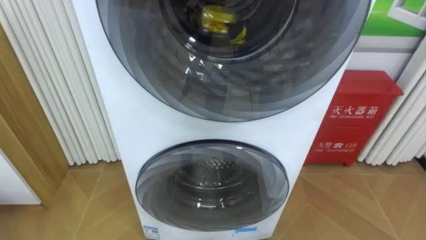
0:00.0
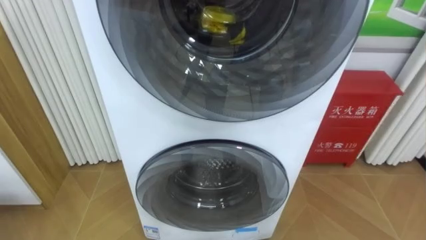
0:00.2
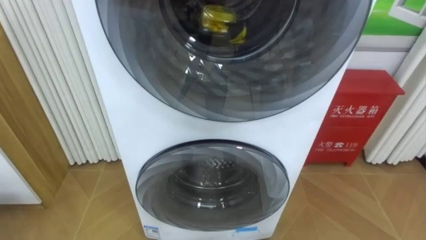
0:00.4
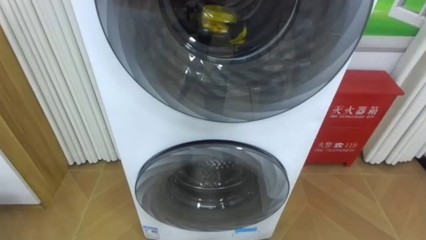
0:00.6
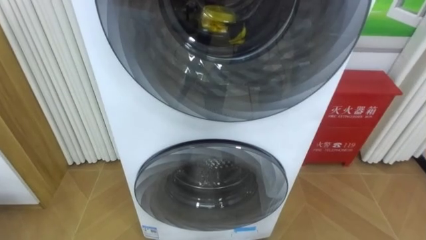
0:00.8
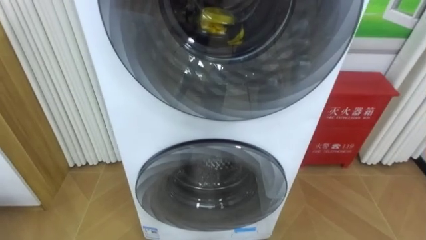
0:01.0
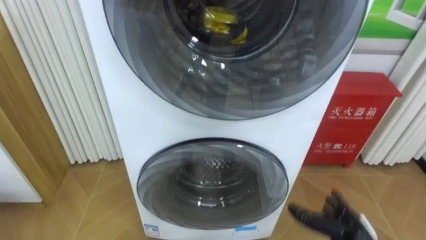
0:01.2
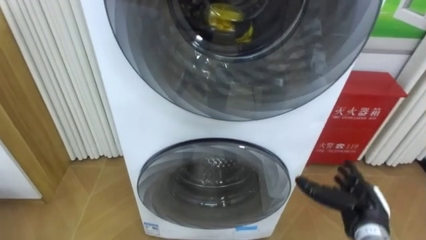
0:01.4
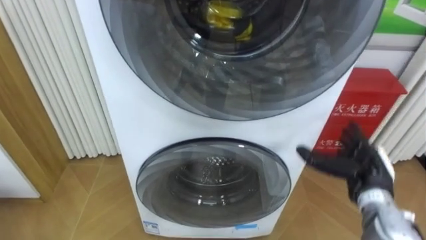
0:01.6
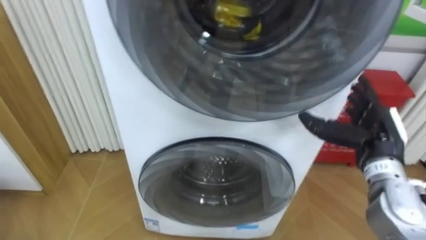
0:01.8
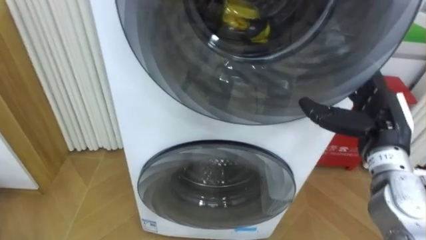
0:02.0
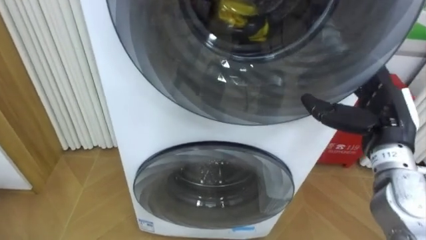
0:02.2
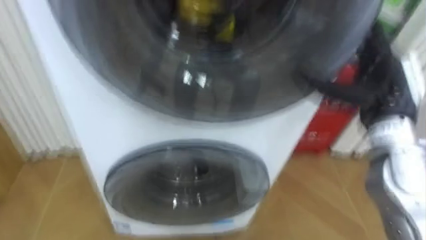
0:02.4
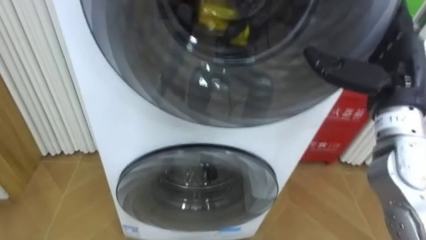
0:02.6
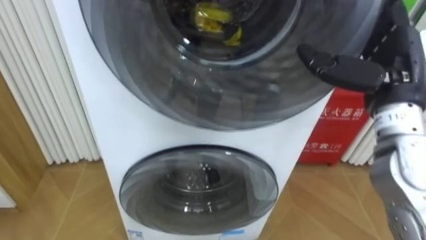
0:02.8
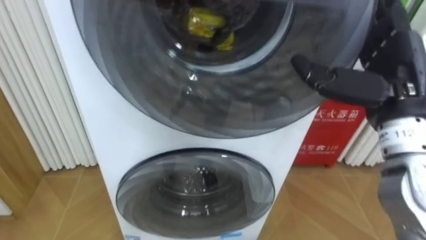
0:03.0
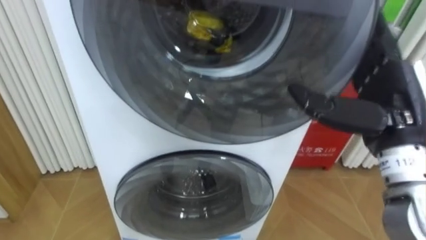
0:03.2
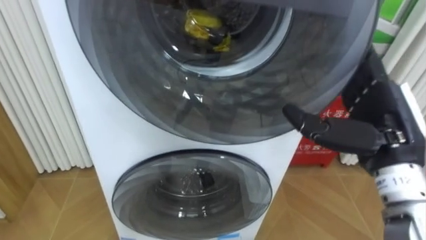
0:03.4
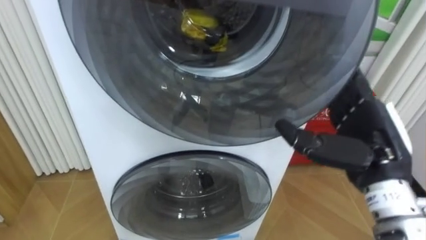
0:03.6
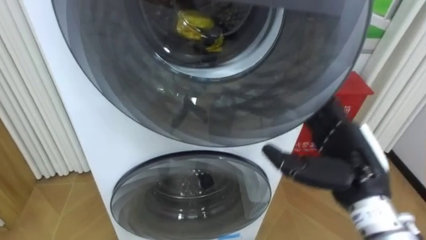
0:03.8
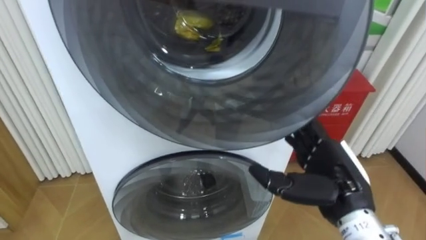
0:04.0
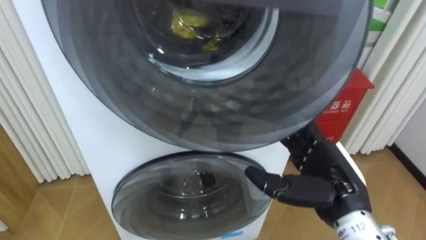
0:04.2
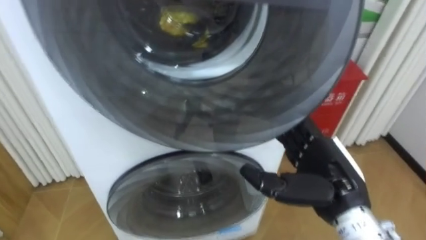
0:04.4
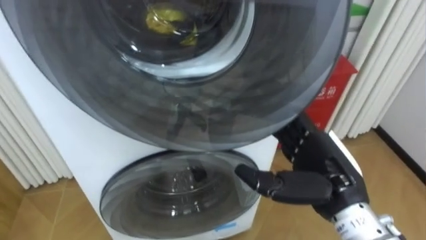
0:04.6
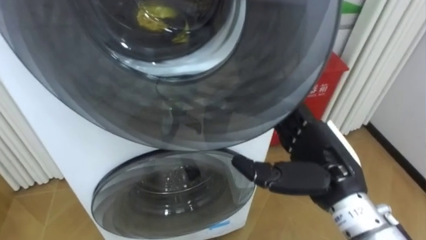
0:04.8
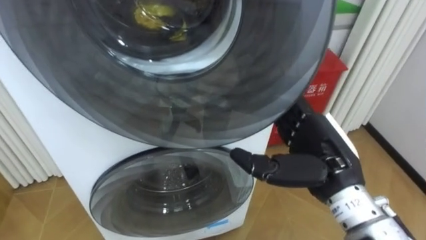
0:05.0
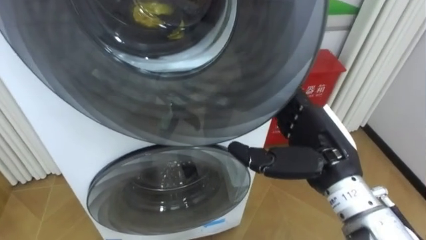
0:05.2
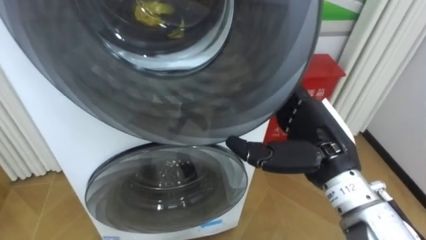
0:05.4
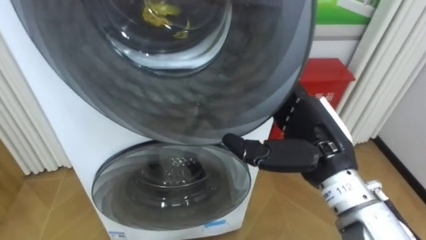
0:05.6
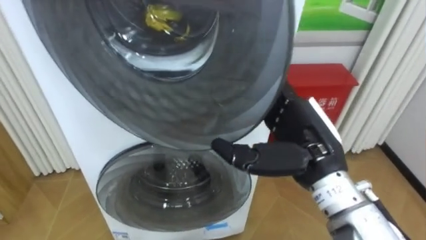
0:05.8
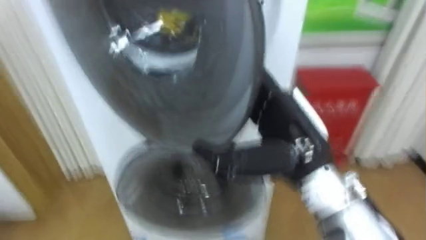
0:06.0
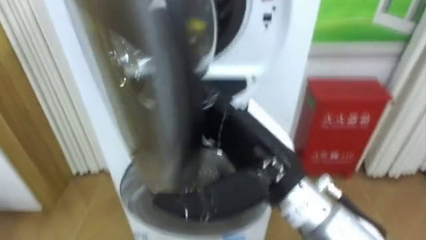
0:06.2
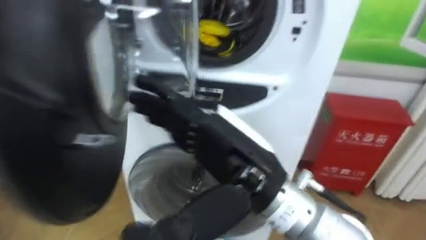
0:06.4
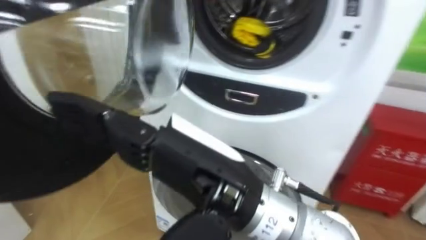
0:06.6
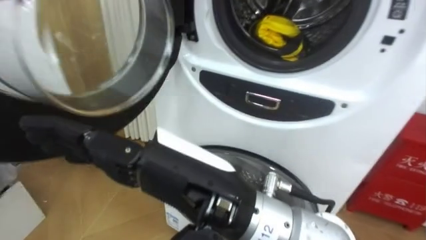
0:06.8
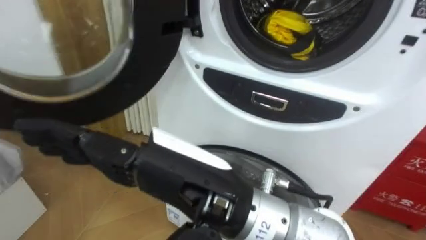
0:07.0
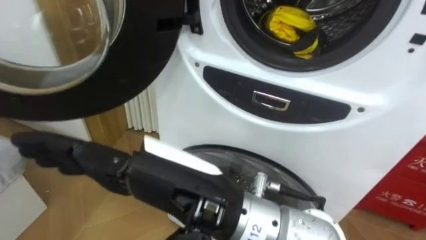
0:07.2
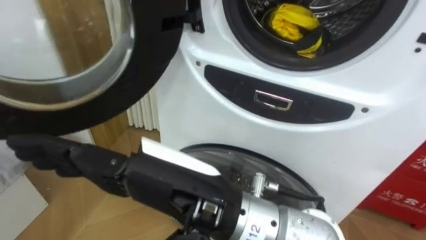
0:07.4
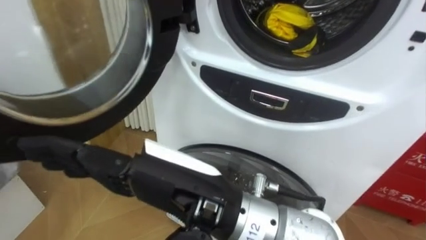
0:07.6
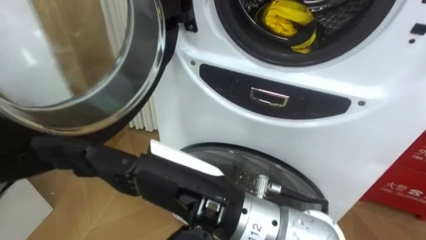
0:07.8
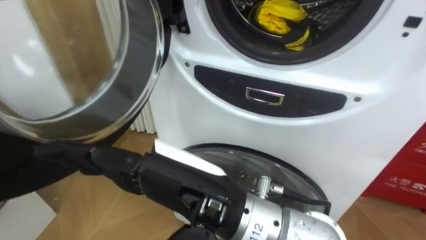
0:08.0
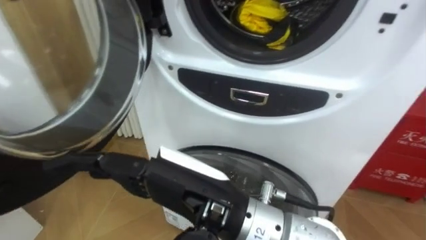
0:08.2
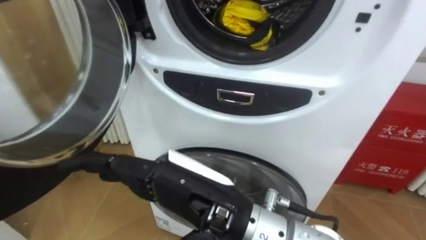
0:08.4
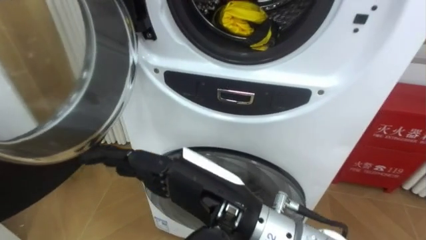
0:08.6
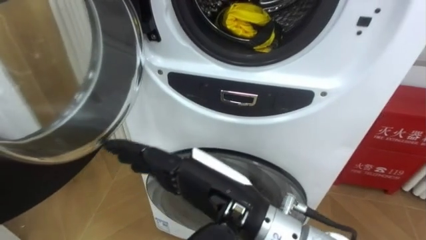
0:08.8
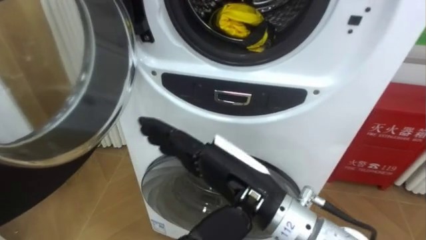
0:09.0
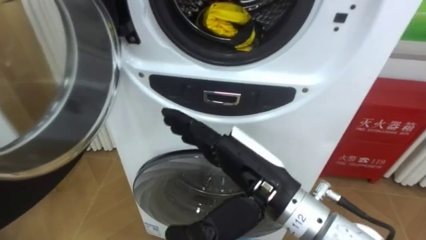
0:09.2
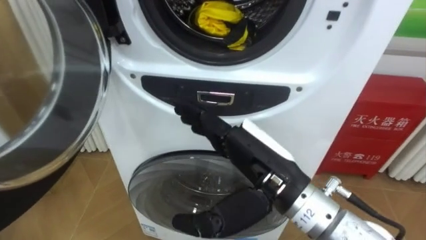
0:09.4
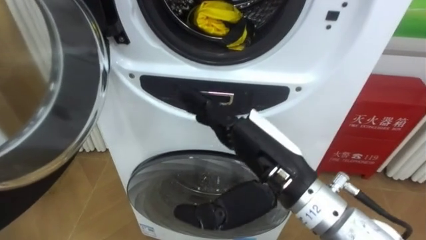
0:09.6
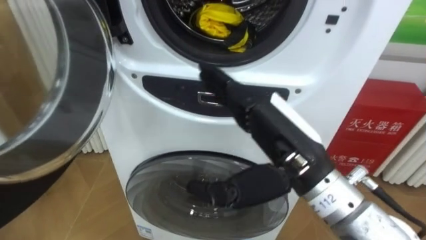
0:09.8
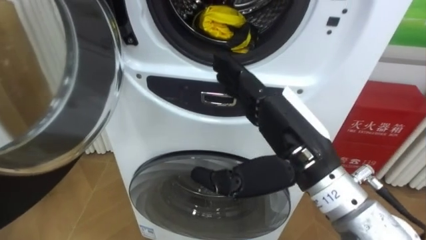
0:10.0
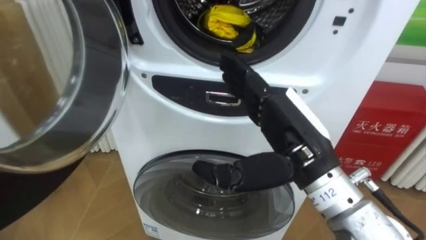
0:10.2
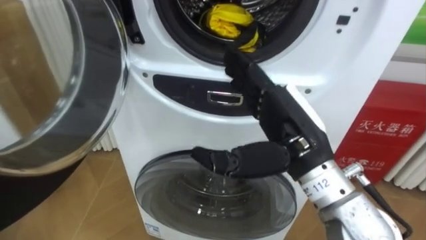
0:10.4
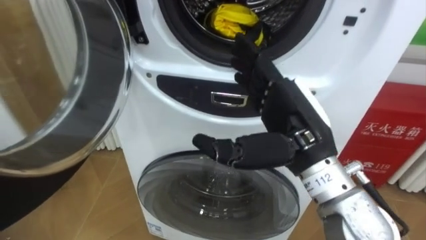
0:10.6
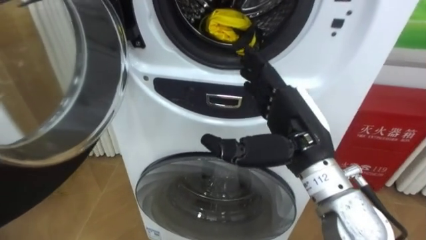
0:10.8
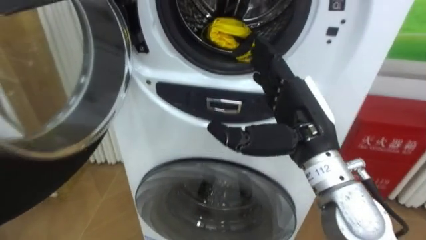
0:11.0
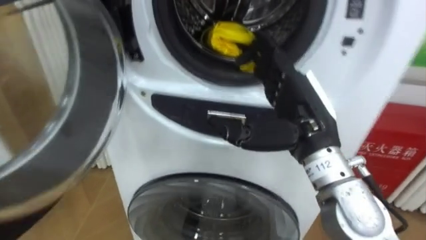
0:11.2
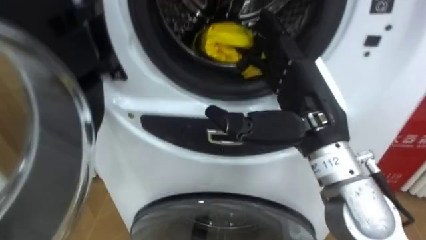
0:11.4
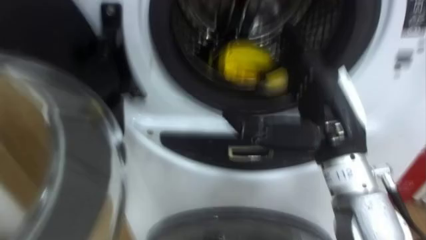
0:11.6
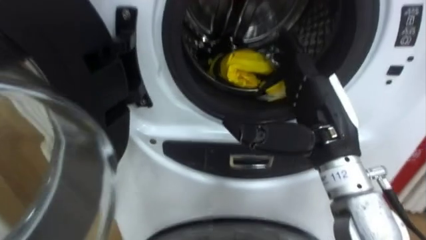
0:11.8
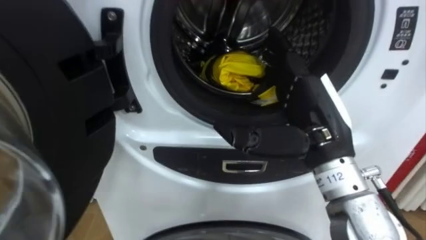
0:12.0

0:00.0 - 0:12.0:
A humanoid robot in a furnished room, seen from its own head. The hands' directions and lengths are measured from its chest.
Task of the whole recording: Open the washing machine door, take out the yellow clothes, place them in the box on the right, and close the washing machine door.
0:01.6 - 0:03.0: The right hand shifts roughly 20 cm upward.
0:03.0 - 0:04.4: The right hand goes roughly 15 cm downward, to the left and backward.
0:04.4 - 0:06.0: The right hand heads upward and to the left, covering about 10 cm.
0:06.0 - 0:07.6: The right hand shifts roughly 15 cm to the left and backward.
0:07.6 - 0:09.0: The right hand shifts some 5 cm to the right.
0:09.0 - 0:10.4: The right hand goes about 5 cm to the right.

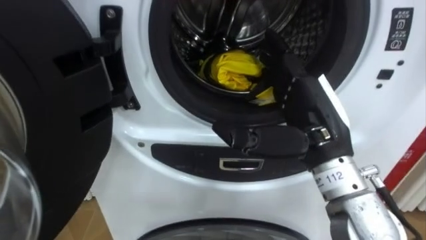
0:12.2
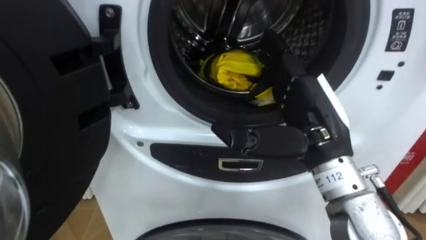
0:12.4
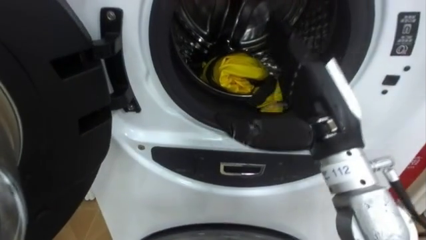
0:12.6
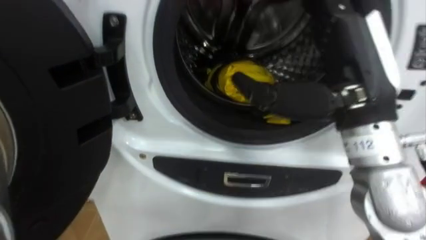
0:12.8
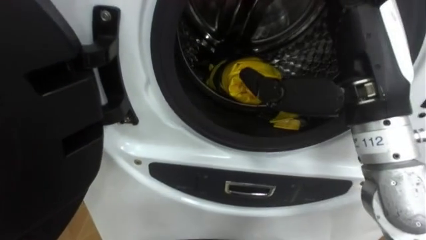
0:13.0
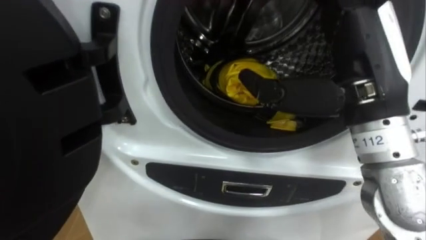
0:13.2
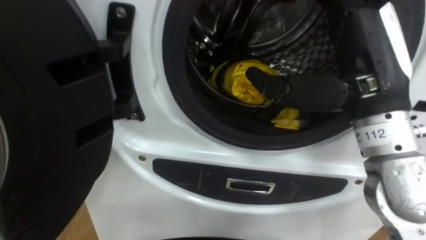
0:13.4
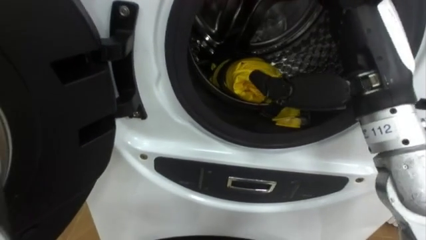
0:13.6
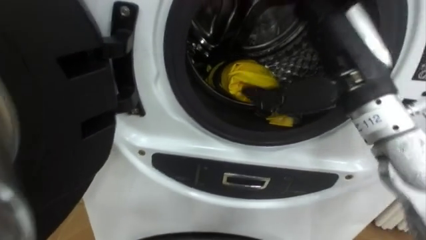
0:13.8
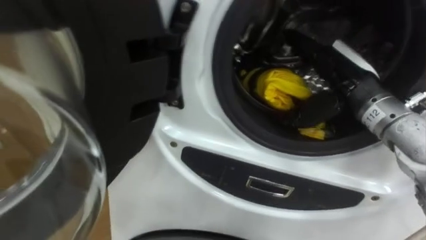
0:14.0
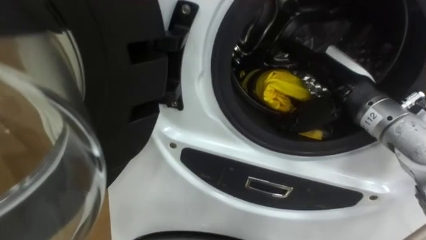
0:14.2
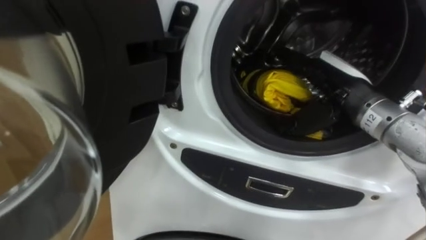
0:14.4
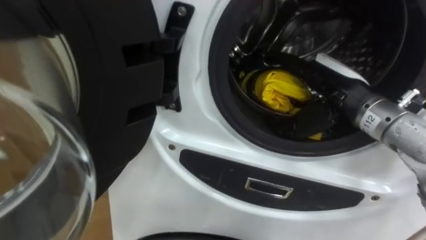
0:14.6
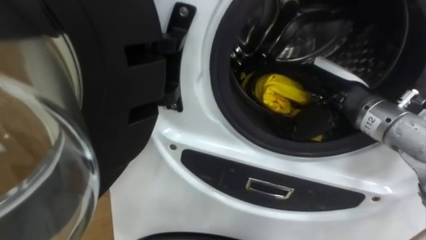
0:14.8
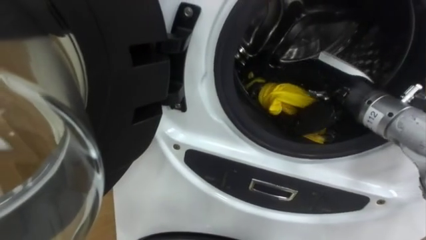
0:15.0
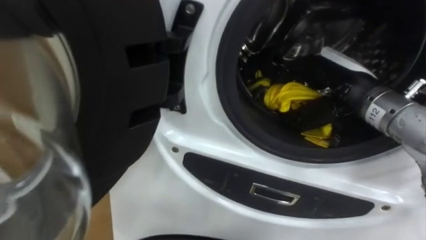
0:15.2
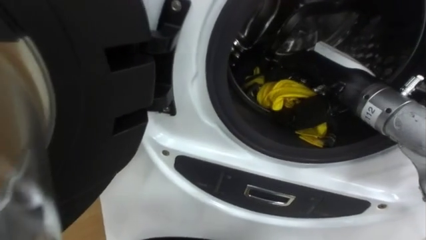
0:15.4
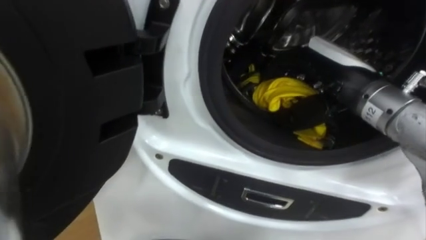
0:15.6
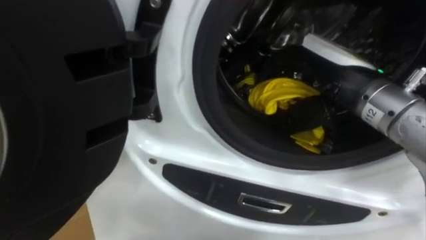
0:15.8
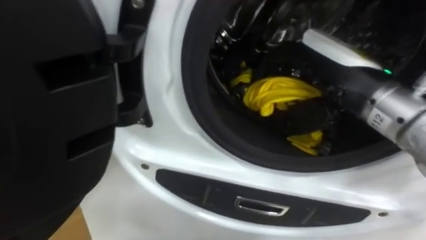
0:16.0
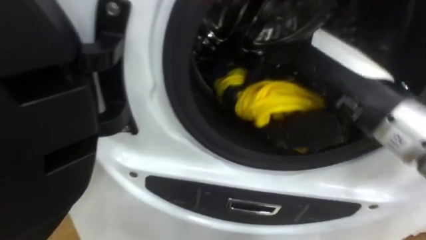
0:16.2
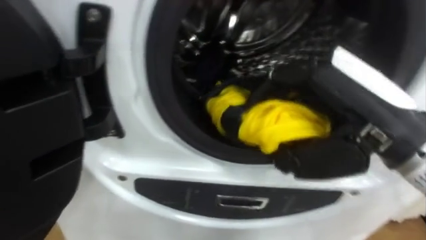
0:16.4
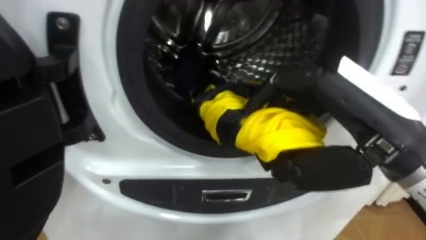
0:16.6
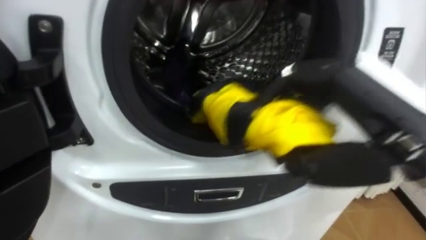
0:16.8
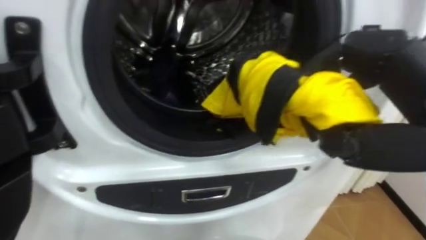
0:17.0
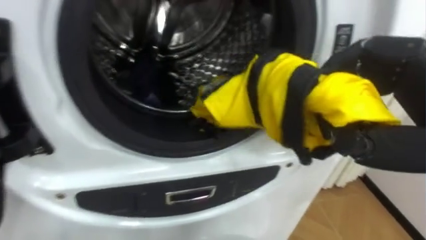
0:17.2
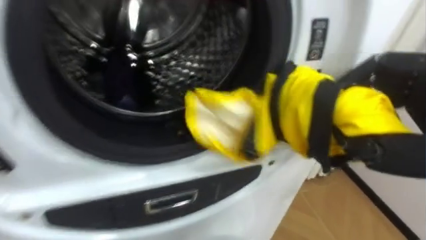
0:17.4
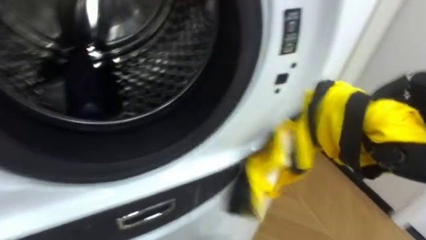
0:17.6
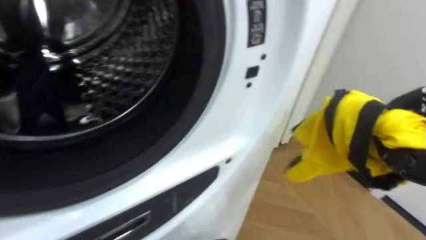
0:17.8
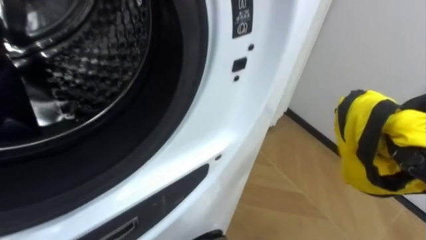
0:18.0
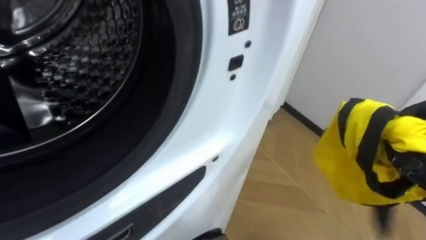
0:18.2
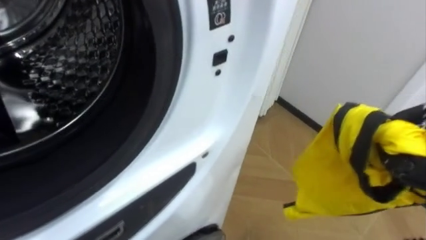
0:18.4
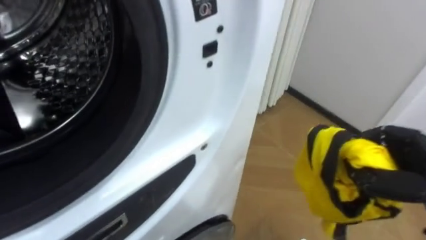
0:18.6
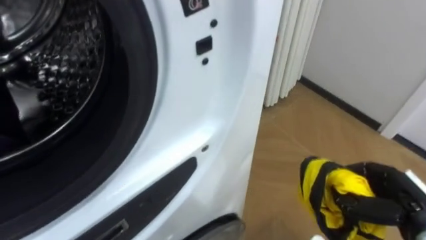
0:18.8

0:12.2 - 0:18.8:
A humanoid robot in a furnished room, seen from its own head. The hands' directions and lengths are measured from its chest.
Task of the whole recording: Open the washing machine door, take out the yellow clothes, place them in the box on the right, and close the washing machine door.
0:12.2 - 0:13.8: The right hand goes roughly 5 cm upward.
0:13.8 - 0:15.4: The right hand heads downward, covering approximately 5 cm, and closes up.
0:17.2 - 0:18.8: The robot's body swings some 15 degrees to its right.
